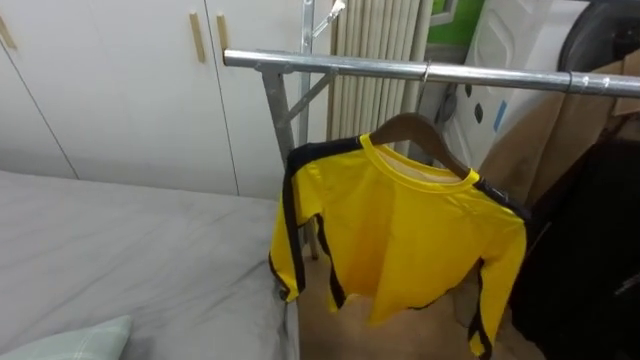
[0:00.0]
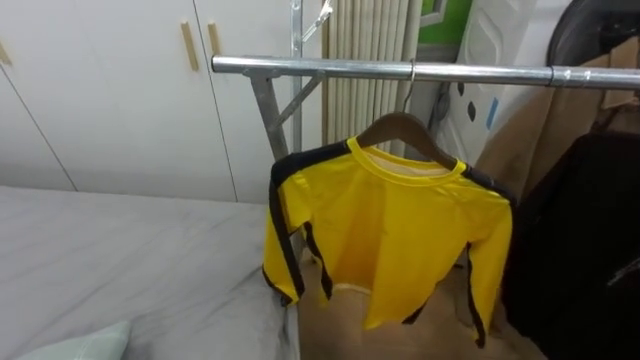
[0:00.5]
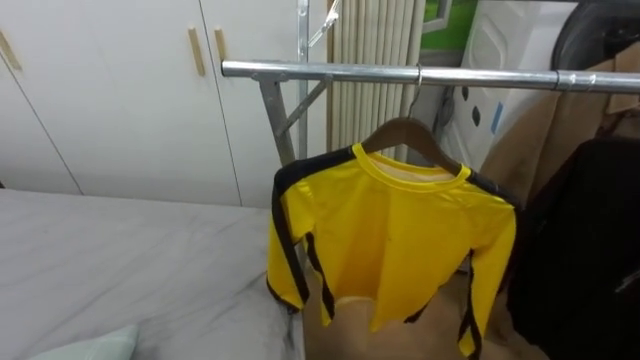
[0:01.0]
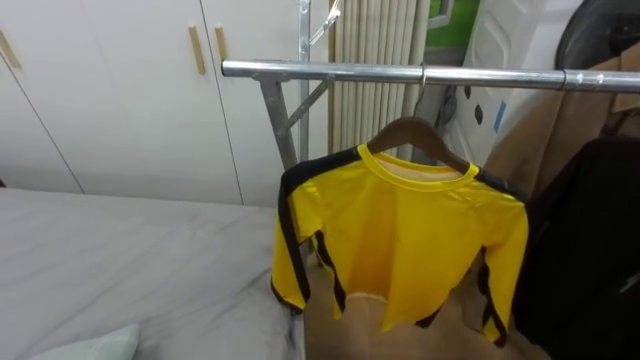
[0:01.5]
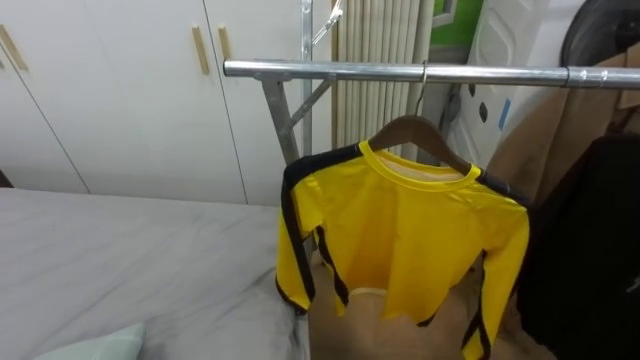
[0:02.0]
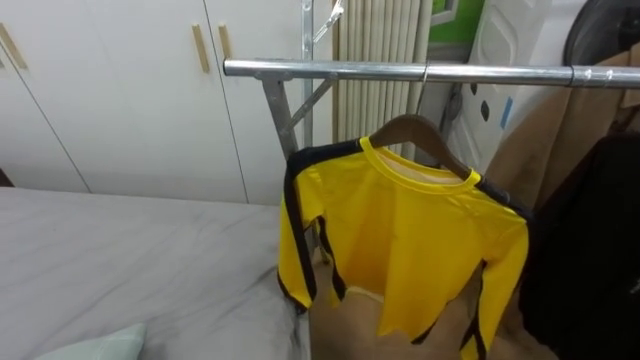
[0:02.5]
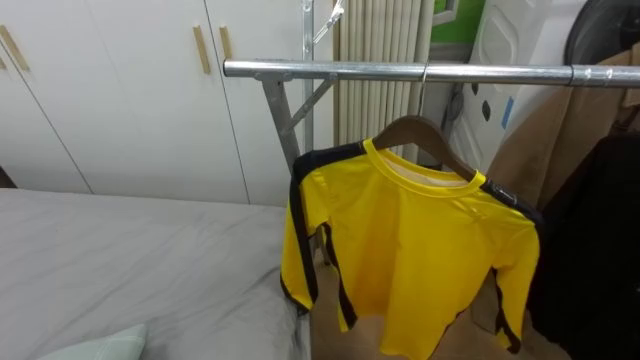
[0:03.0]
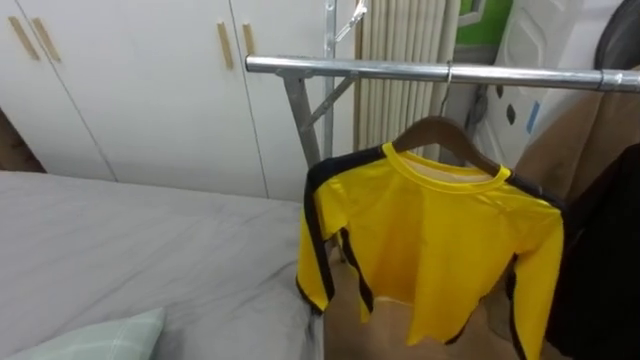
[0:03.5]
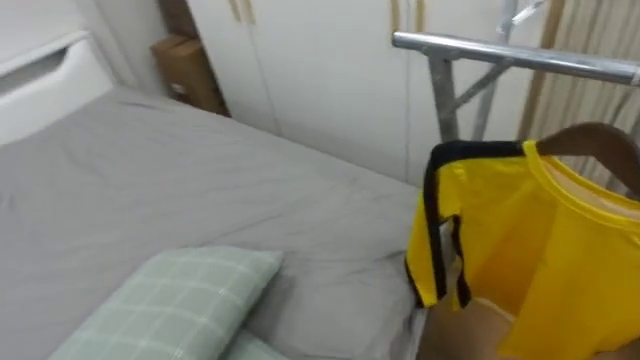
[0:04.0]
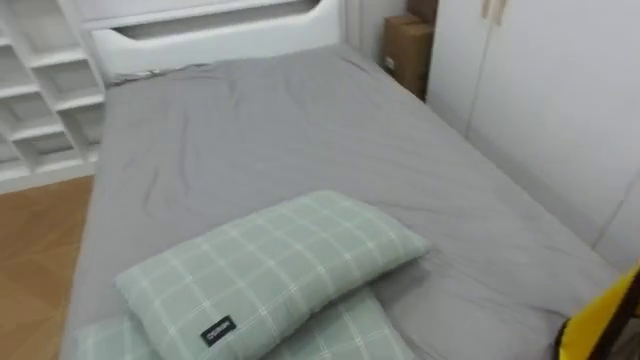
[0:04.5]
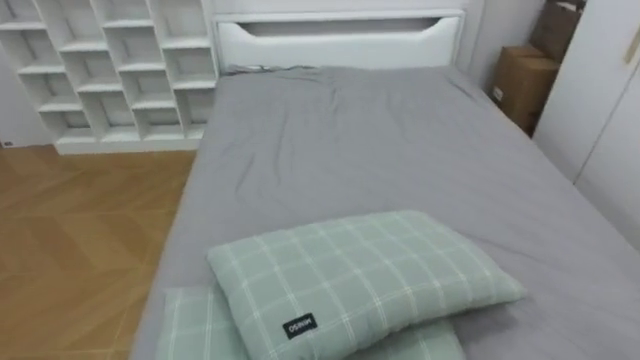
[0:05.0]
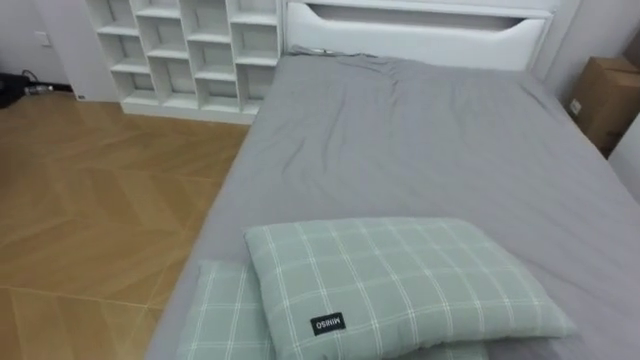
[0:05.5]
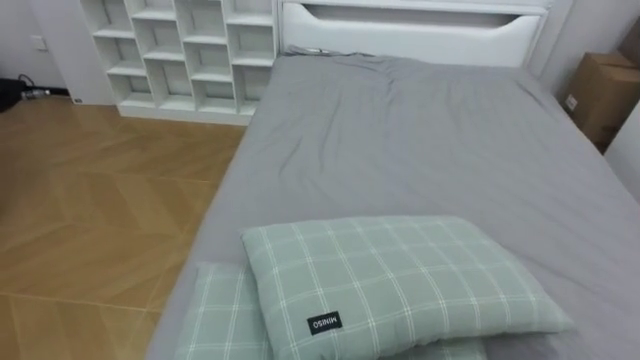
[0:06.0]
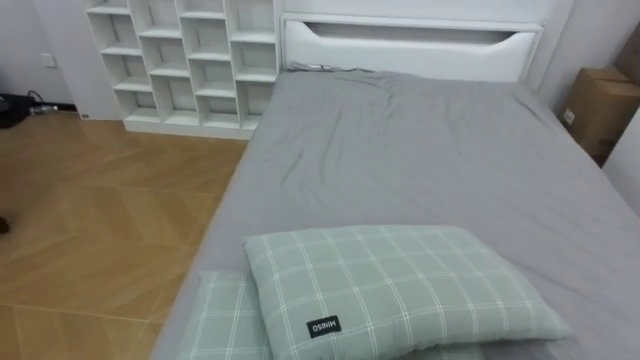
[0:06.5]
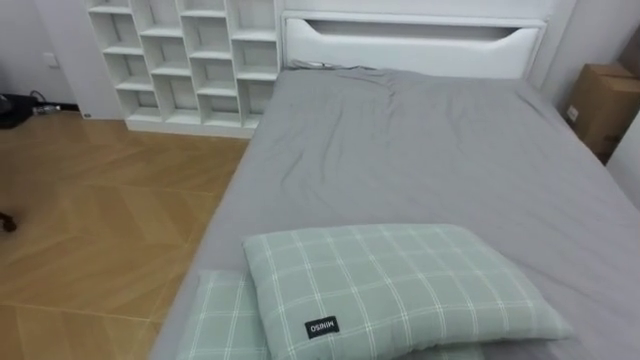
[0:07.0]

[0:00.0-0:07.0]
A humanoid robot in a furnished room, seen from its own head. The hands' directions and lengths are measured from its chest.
Task of the whole recording: Pick up the yellow shirt on the bed and hang it on the clothes rack on the right.
0:03.5 to 0:05.0: The robot turns to its left by approximately 75 degrees.

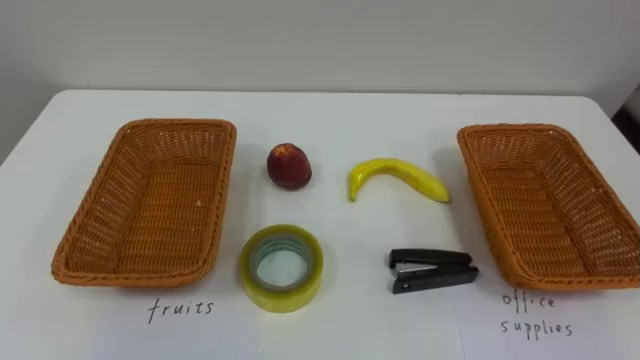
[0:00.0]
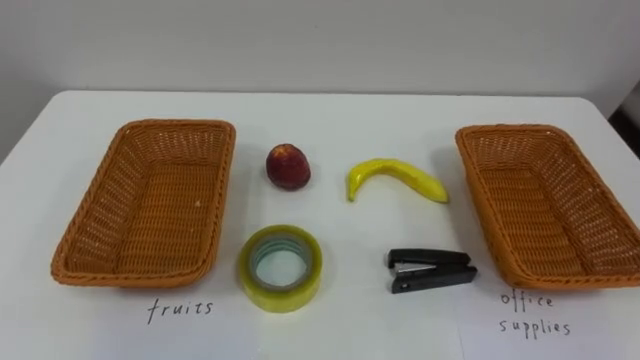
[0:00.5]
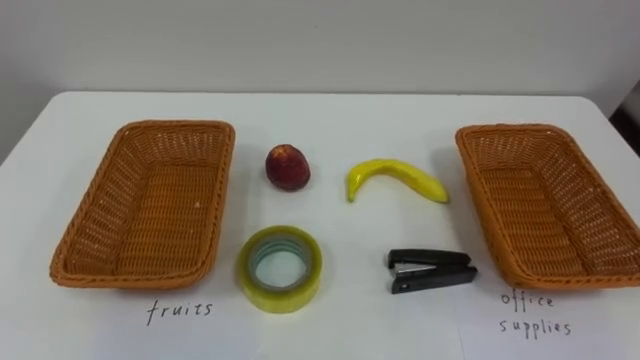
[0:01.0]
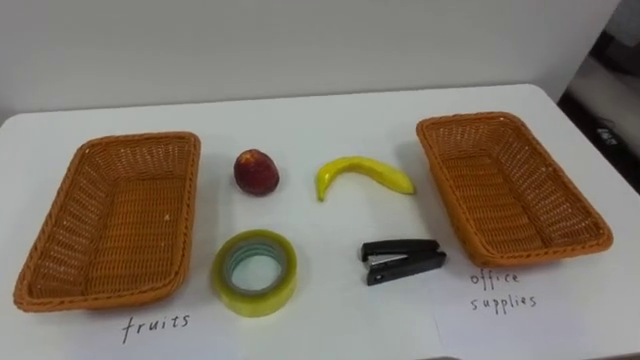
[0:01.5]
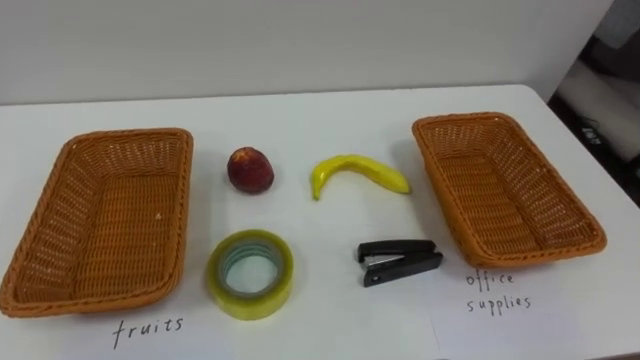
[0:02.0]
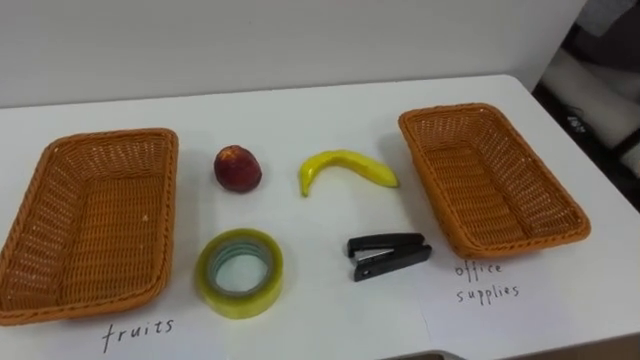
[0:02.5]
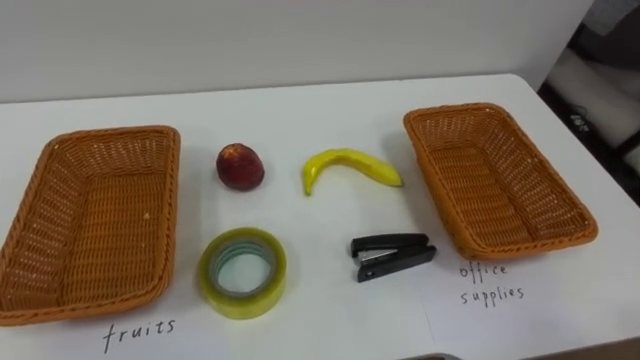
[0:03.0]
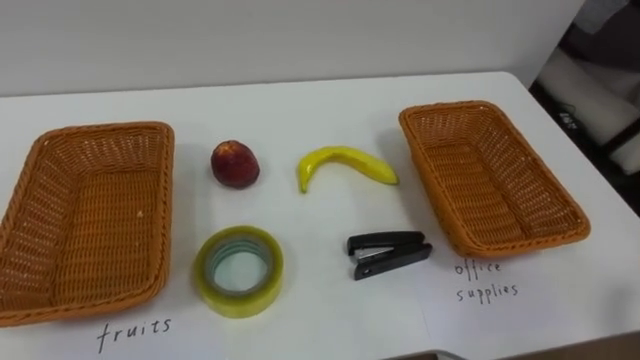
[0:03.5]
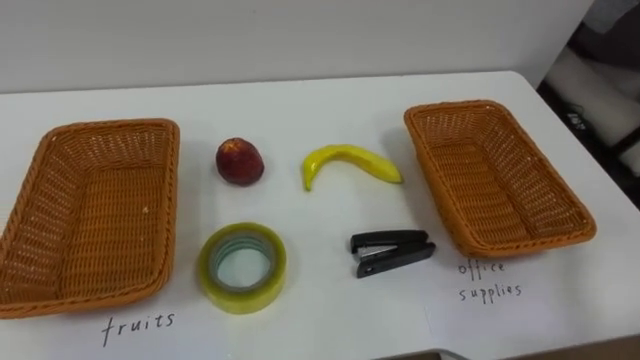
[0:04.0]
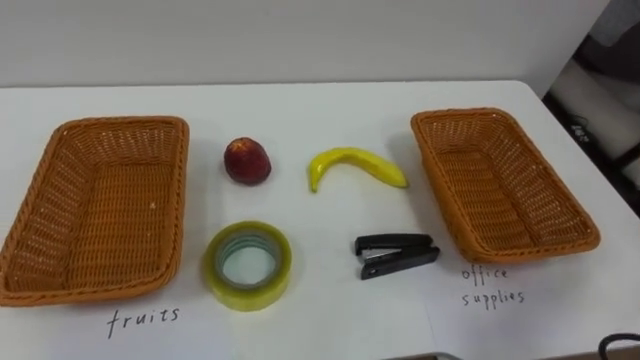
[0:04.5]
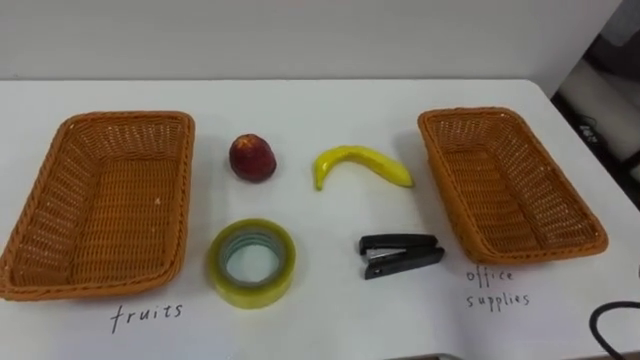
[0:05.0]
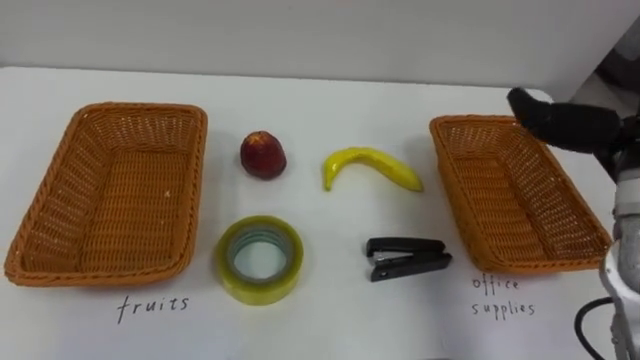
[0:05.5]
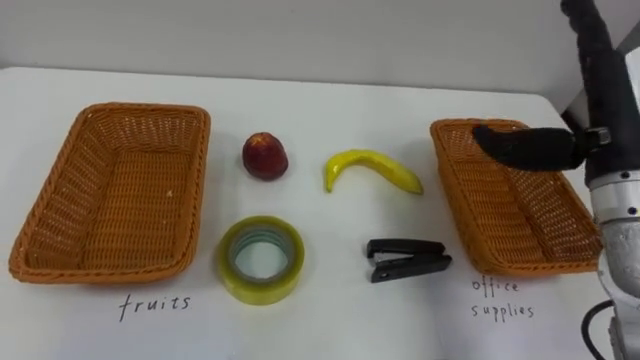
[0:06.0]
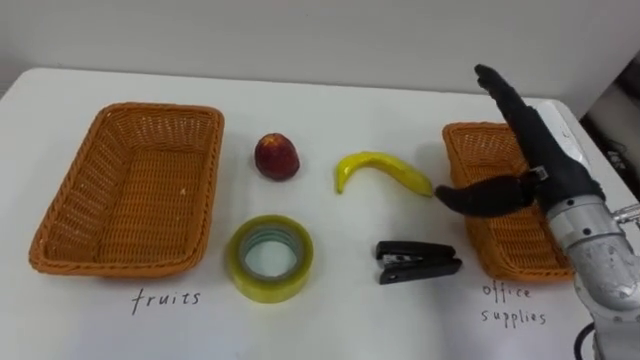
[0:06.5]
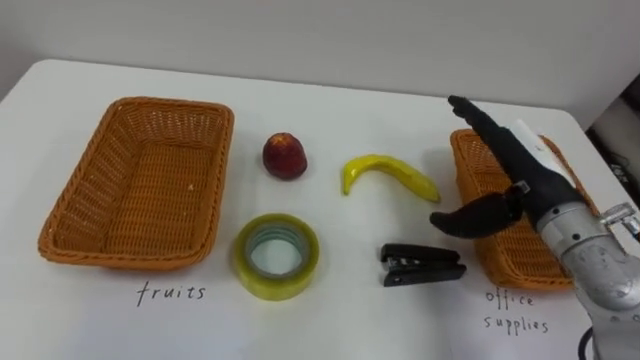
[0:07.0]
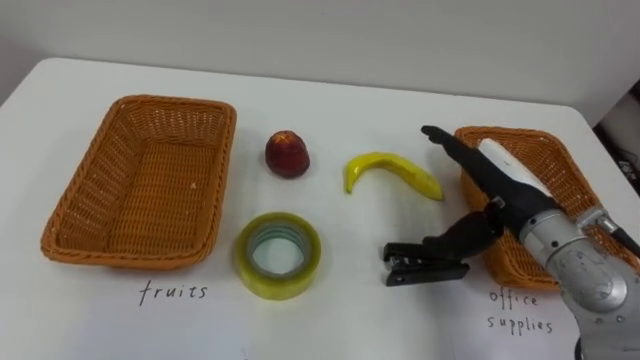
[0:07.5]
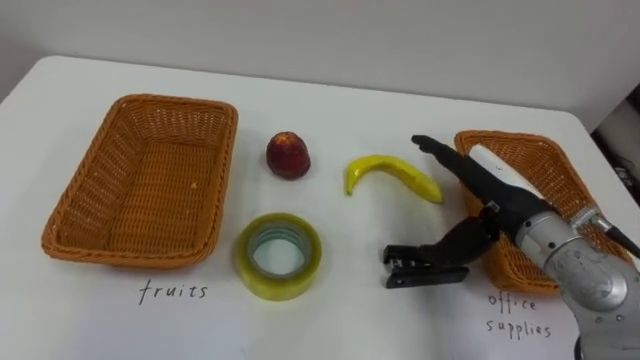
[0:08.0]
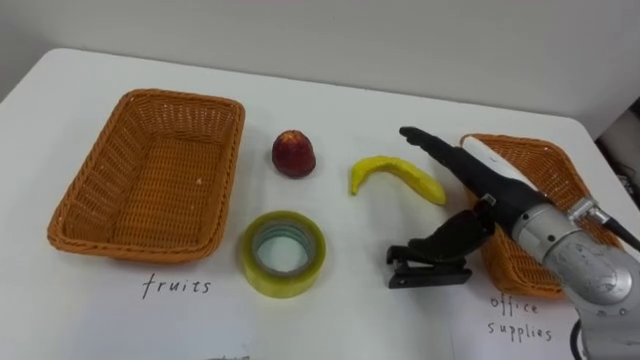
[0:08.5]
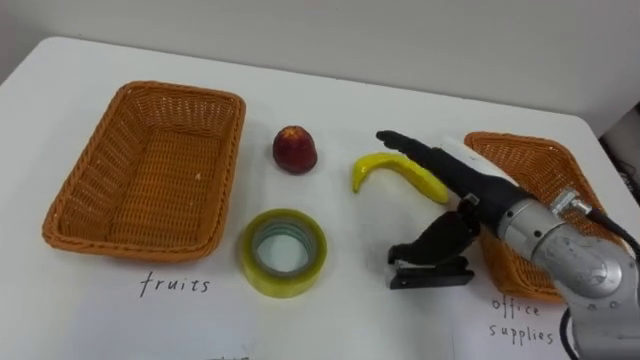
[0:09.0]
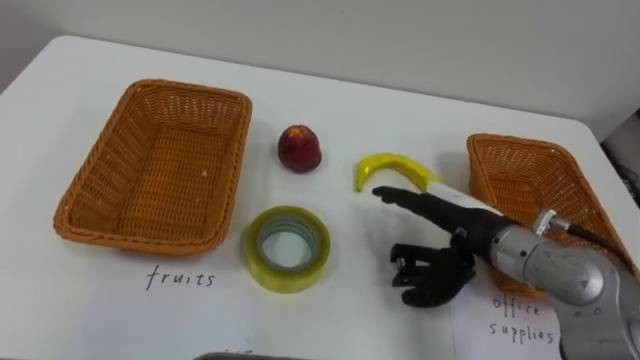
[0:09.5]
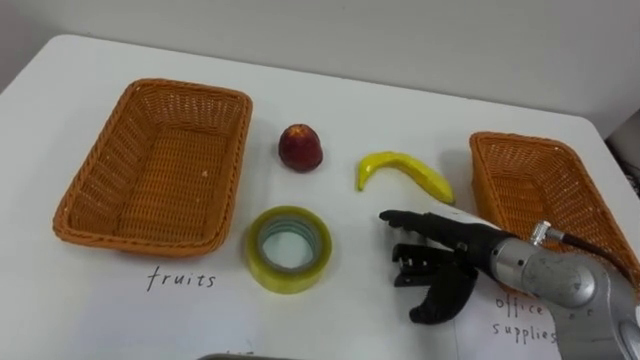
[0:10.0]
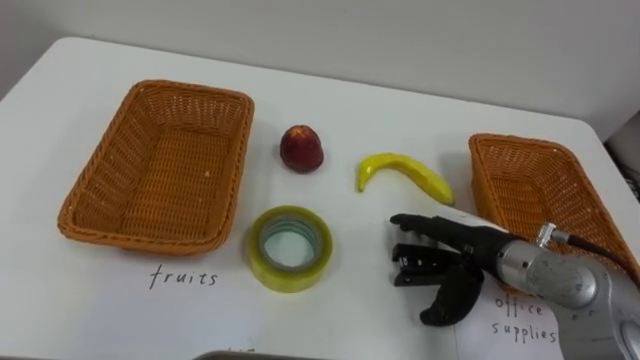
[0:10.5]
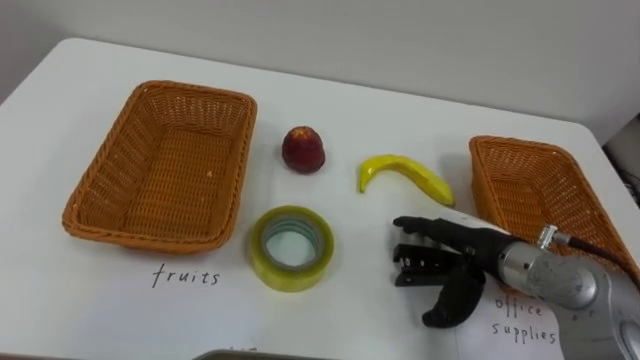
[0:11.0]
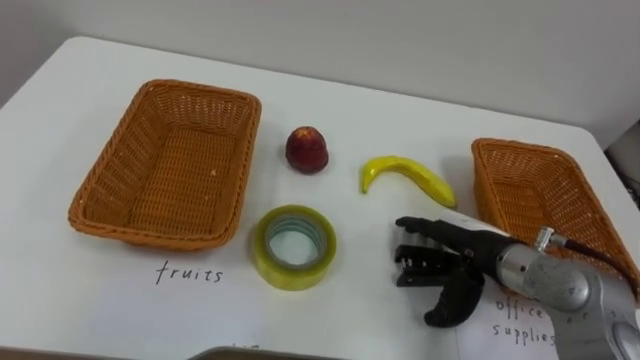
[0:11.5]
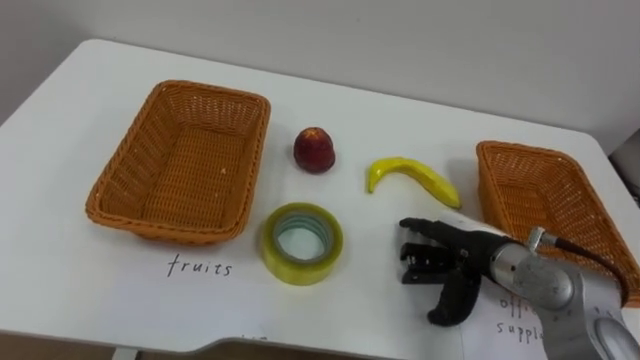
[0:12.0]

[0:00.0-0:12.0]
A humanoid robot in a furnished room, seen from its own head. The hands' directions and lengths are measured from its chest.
Task of the whole recording: Separate the items on the table and place them into the two baskets.
0:06.0 to 0:08.0: The right hand shifts about 10 cm downward and to the left.
0:08.0 to 0:10.0: The right hand is displaced downward by approximately 5 cm.

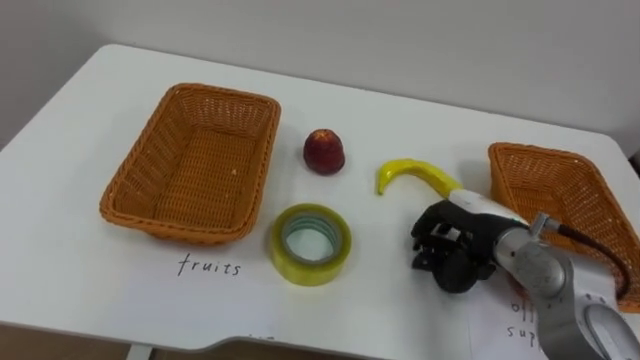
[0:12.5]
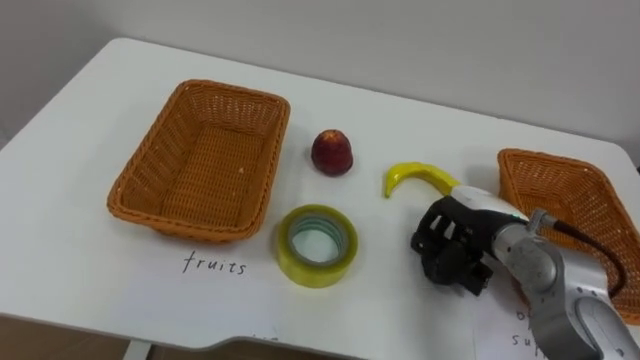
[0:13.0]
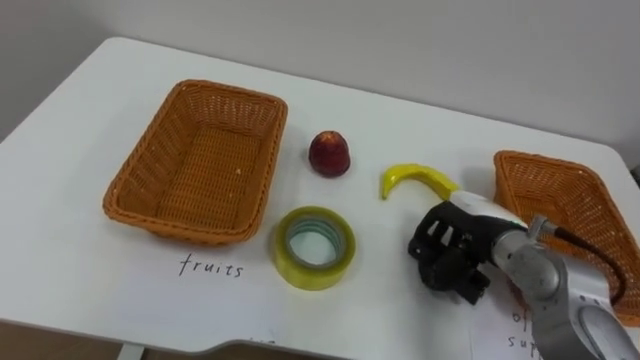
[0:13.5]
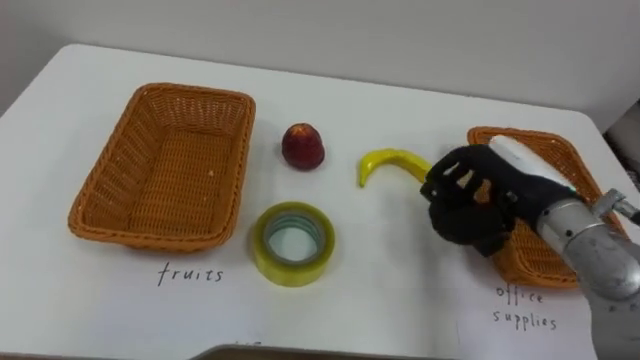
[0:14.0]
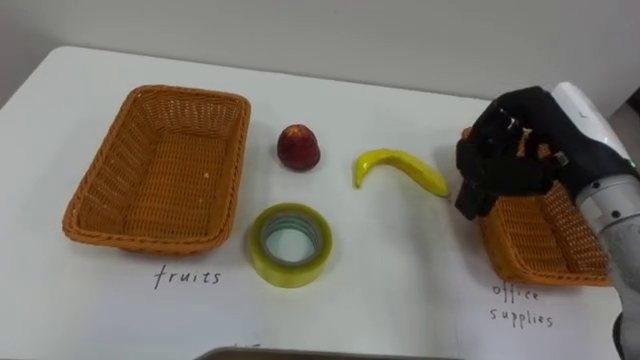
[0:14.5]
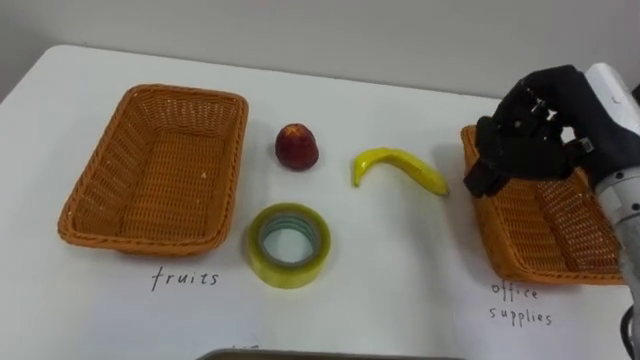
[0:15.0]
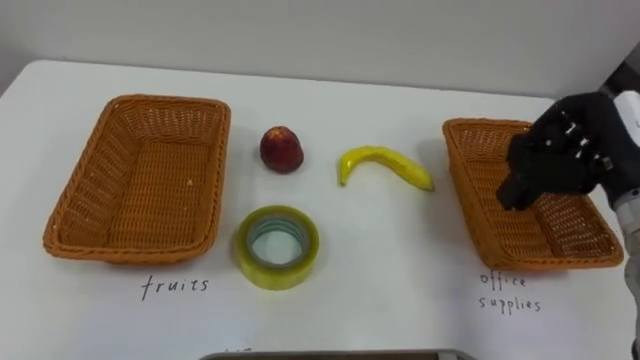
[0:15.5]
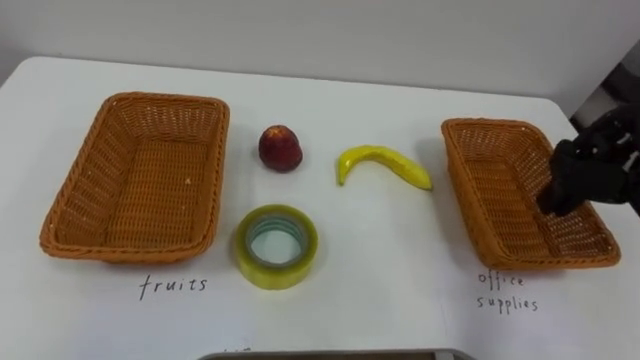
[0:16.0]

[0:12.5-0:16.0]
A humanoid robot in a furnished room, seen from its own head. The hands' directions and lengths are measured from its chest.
Task of the whole recording: Separate the items on the table and place them into the two baskets.
0:12.5 to 0:14.5: The right hand is displaced upward by about 15 cm, and closes its fingers.
